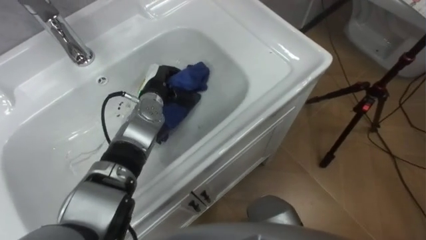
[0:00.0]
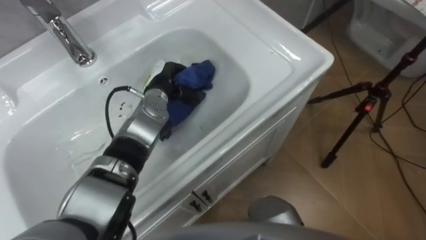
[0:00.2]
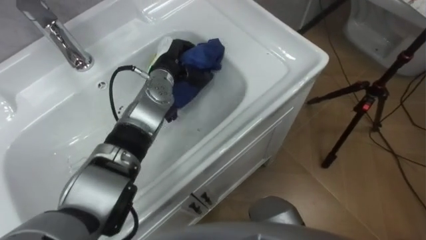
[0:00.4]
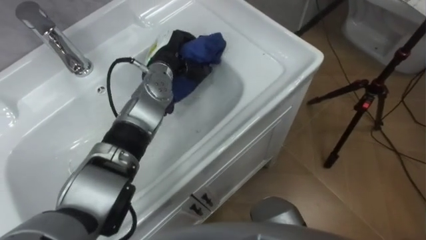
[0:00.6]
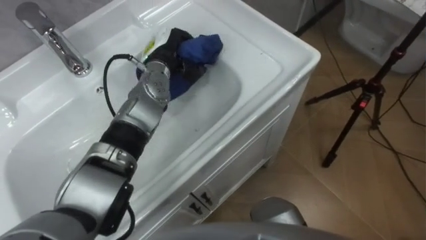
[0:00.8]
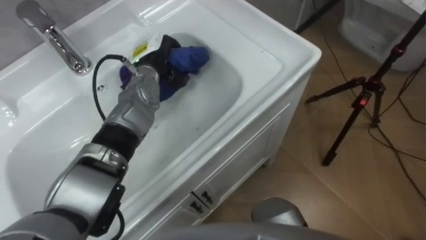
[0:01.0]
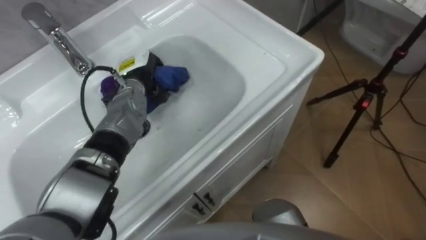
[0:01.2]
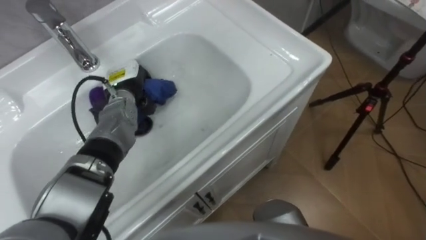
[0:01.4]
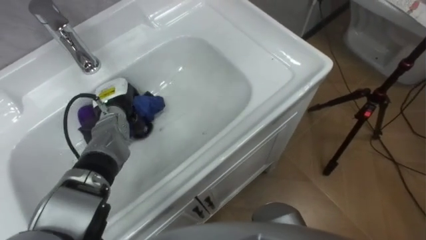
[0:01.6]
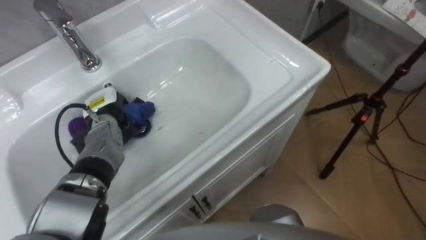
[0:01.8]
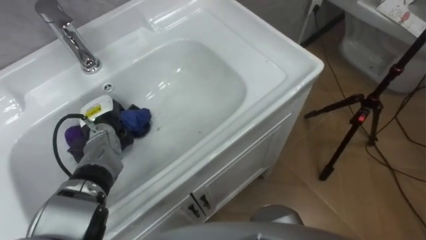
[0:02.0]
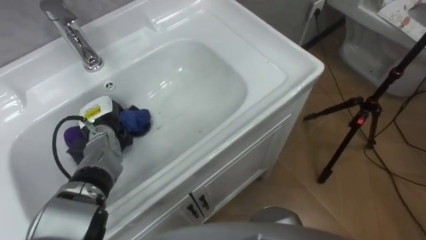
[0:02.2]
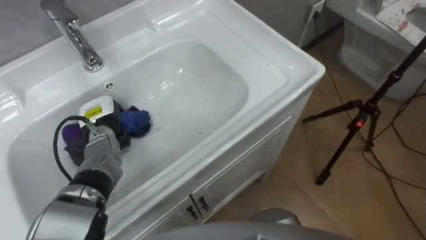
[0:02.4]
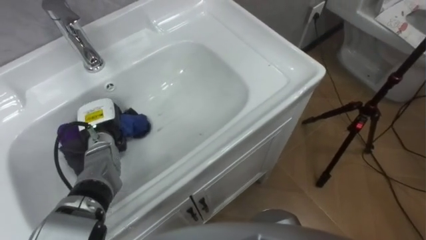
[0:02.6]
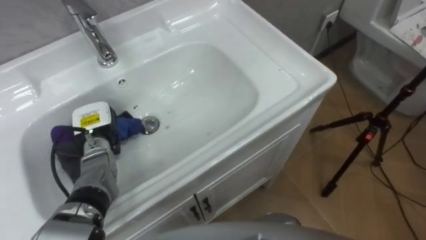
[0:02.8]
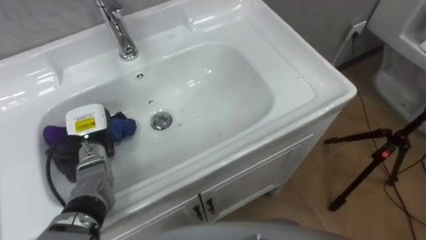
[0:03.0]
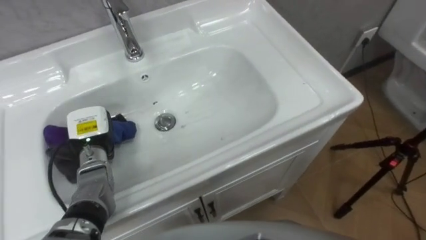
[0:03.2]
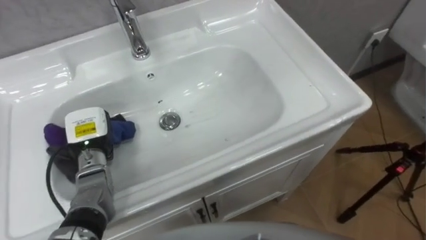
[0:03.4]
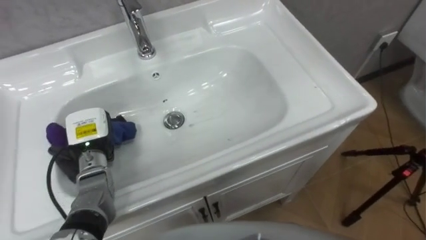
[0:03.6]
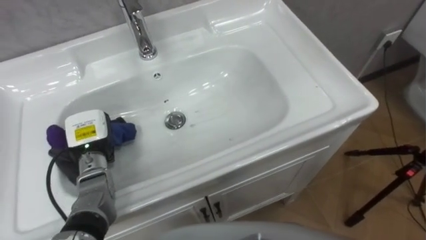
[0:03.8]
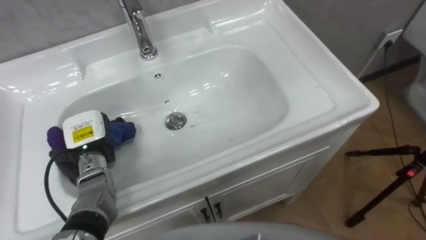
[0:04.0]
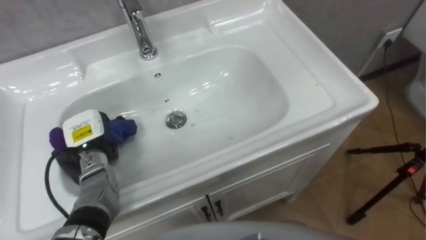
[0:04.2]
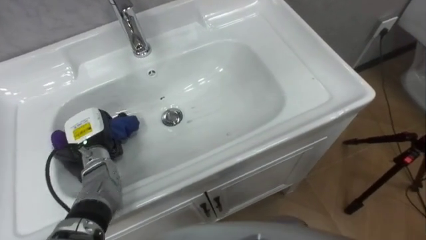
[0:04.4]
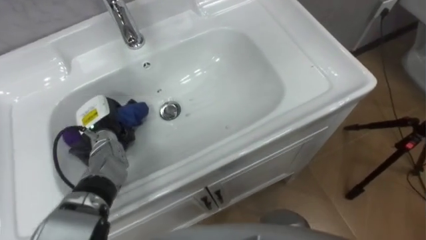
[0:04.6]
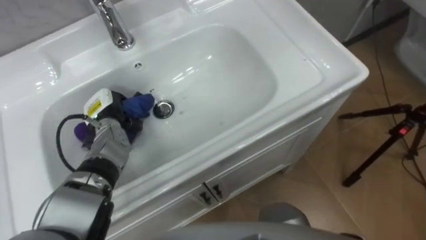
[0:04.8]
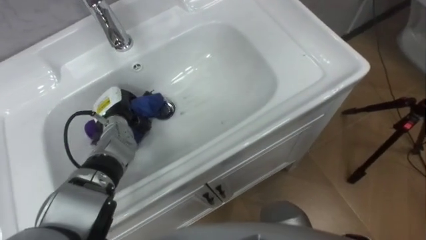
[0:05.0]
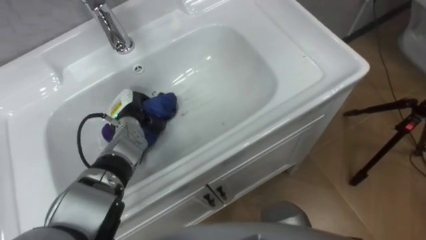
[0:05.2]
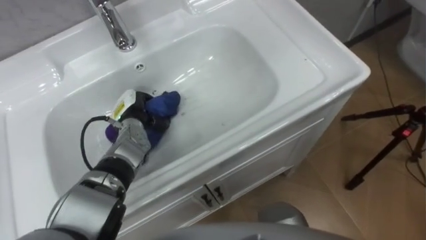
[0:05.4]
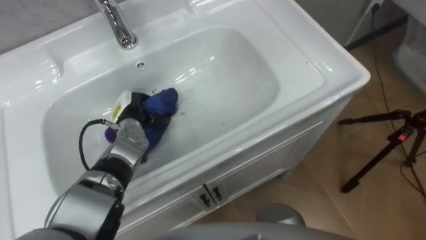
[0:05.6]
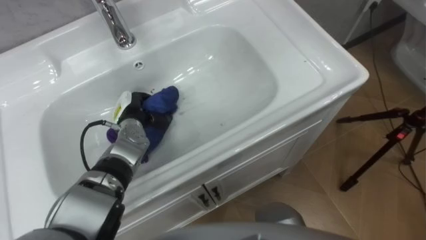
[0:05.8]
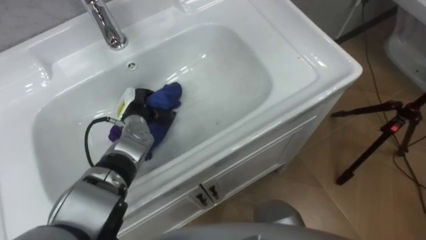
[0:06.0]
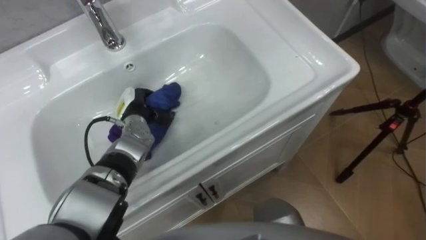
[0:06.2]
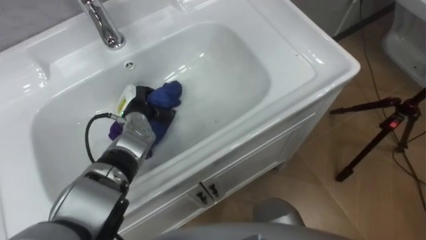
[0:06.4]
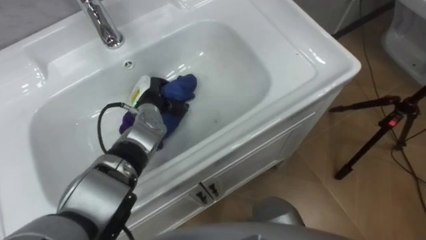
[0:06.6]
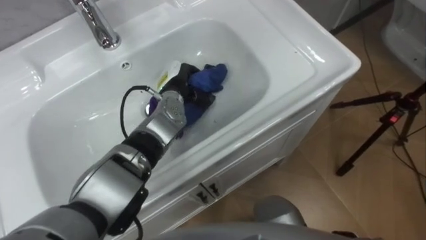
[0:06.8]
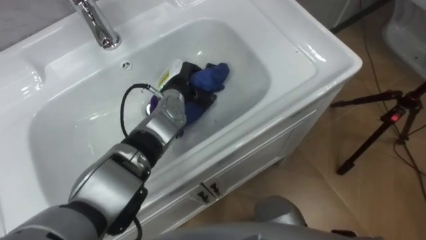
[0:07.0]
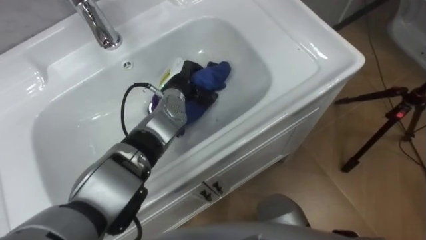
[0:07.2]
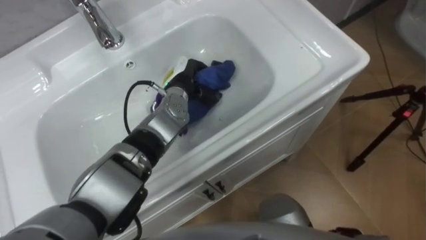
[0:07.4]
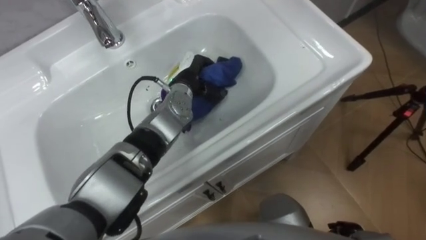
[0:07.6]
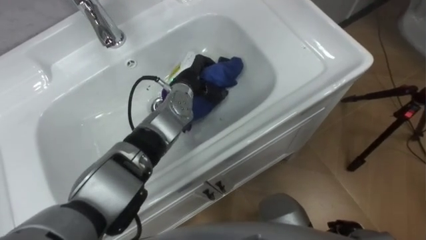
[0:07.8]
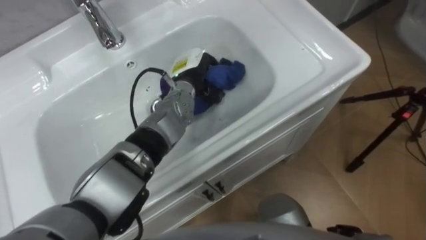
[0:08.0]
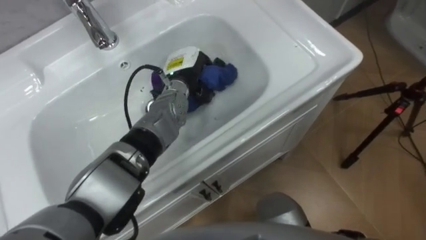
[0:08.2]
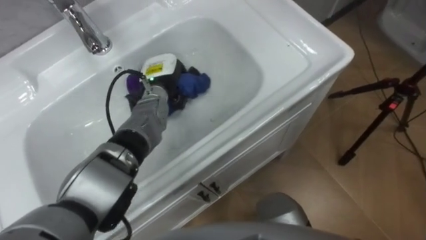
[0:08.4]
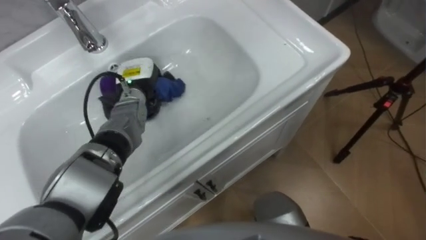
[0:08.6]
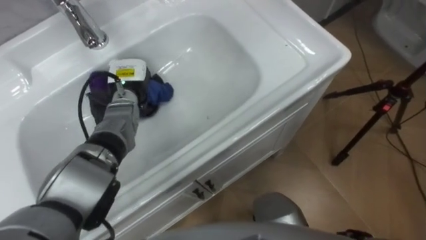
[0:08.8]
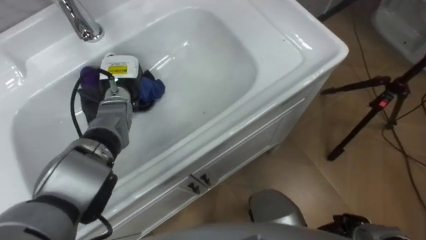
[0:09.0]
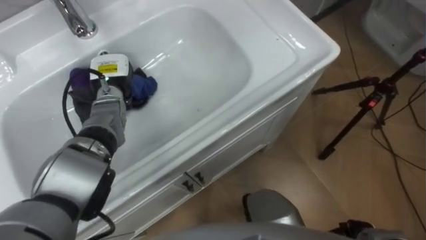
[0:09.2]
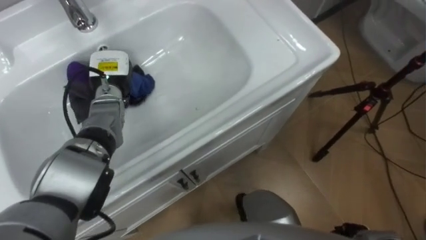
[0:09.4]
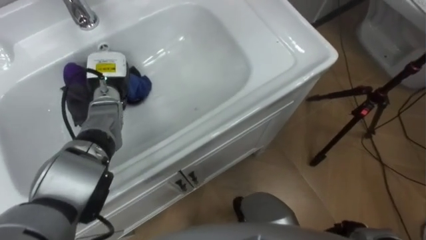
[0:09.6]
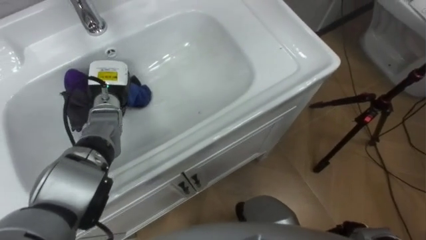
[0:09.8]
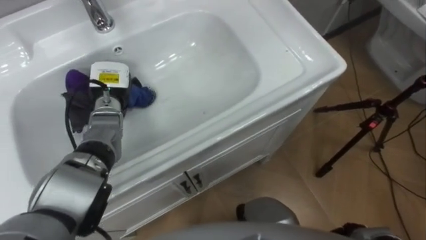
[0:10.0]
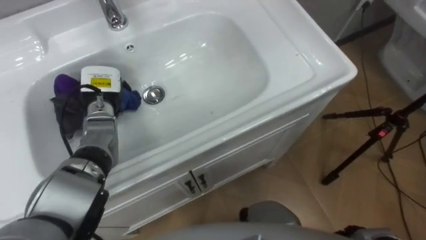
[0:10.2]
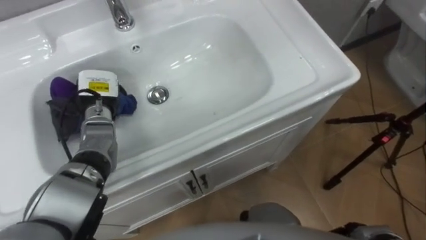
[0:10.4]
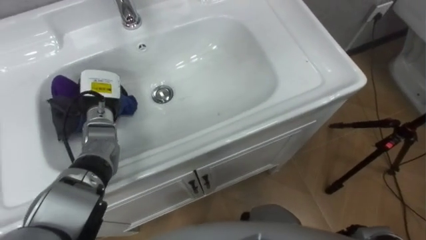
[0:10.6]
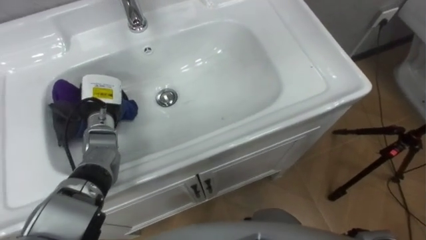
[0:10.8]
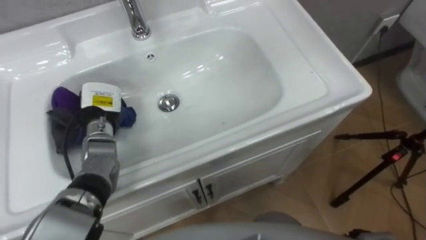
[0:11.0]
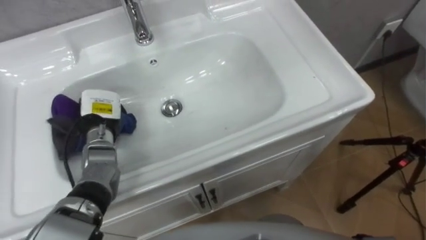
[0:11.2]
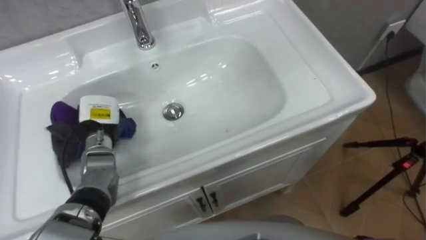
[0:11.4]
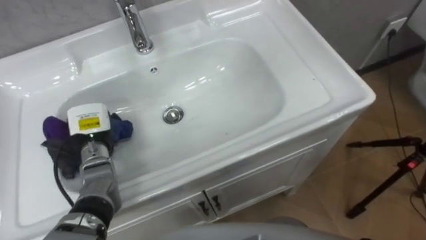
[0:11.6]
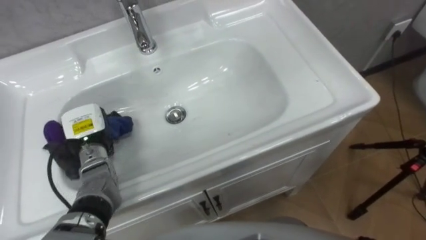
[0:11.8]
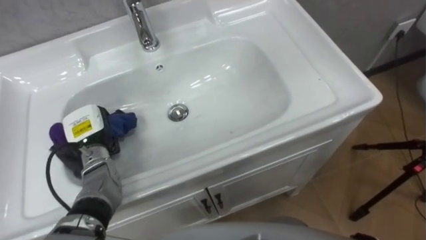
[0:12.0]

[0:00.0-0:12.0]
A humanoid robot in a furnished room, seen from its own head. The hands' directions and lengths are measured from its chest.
Task of the whole recording: Use the cloth on the right to wipe away the black stain in the sink.
0:00.0 to 0:01.6: The left hand heads to the left, covering approximately 10 cm.
0:01.6 to 0:03.0: The left hand is displaced backward and to the left by roughly 10 cm.
0:04.4 to 0:06.0: The left hand is displaced to the right and forward by roughly 10 cm.
0:06.0 to 0:07.6: The left hand shifts roughly 15 cm to the right and upward.
0:07.6 to 0:09.0: The left hand heads to the left, covering roughly 15 cm.
0:09.0 to 0:10.4: The left hand travels to the left by roughly 5 cm.
0:10.4 to 0:12.0: The left hand heads backward, covering roughly 5 cm.

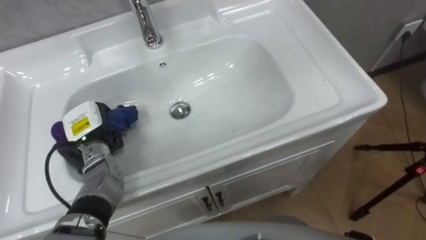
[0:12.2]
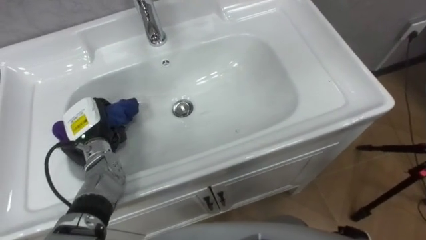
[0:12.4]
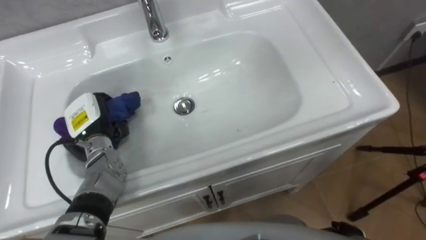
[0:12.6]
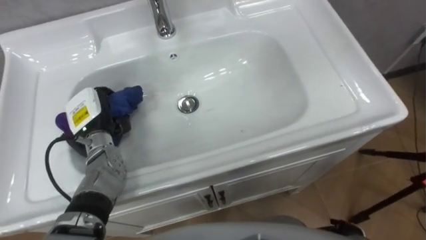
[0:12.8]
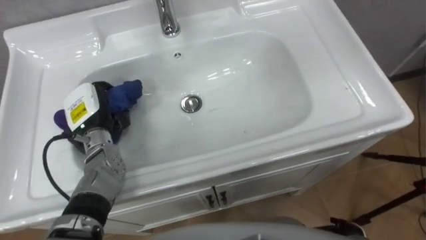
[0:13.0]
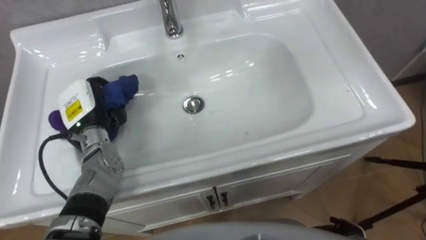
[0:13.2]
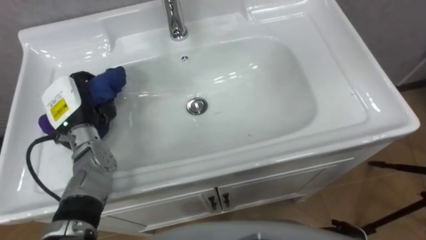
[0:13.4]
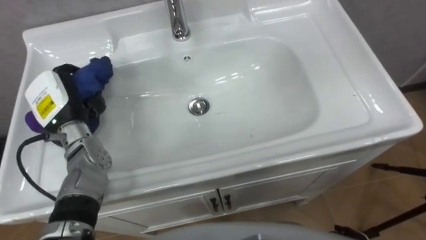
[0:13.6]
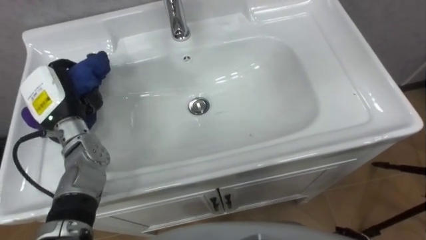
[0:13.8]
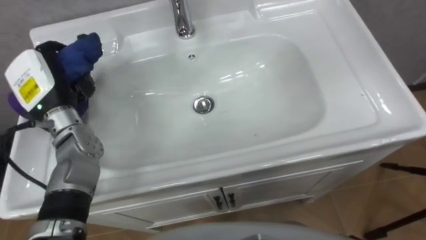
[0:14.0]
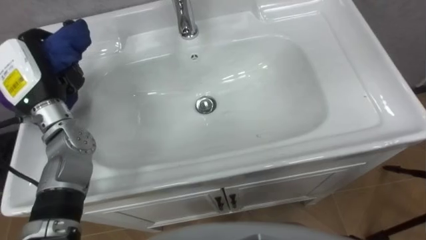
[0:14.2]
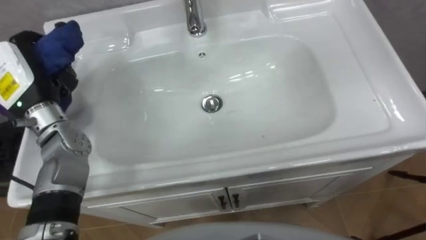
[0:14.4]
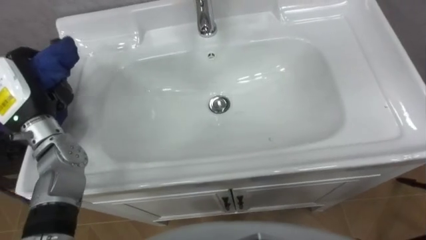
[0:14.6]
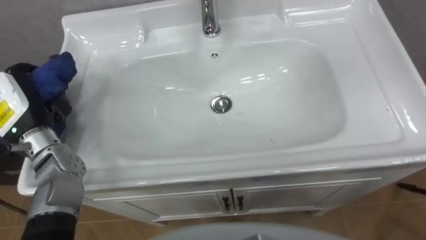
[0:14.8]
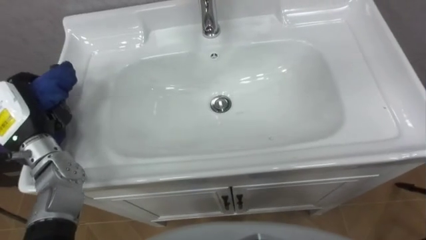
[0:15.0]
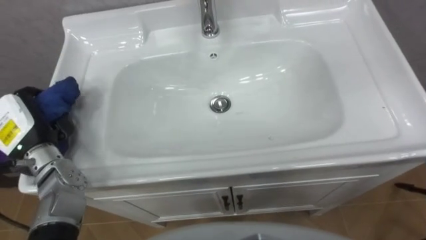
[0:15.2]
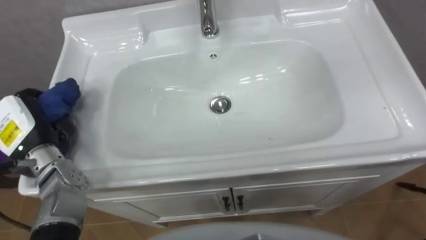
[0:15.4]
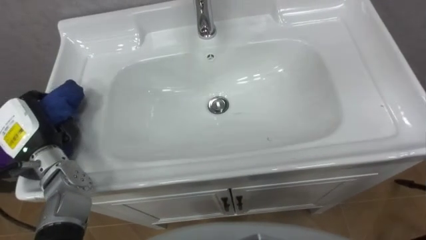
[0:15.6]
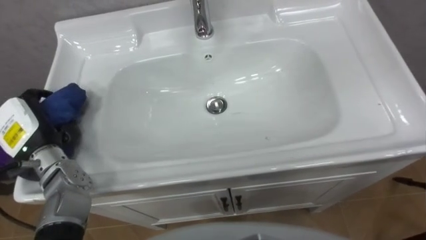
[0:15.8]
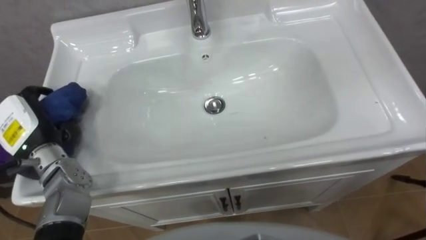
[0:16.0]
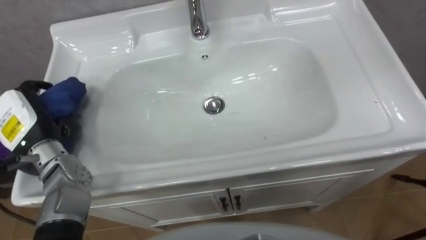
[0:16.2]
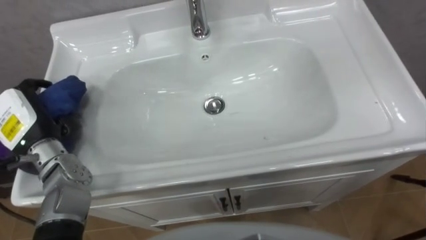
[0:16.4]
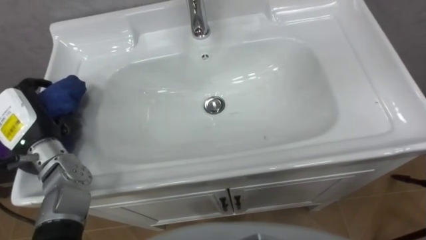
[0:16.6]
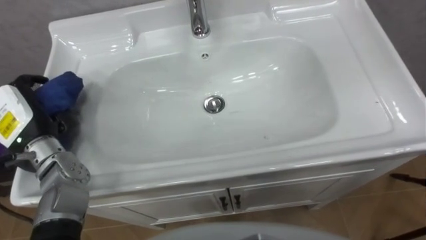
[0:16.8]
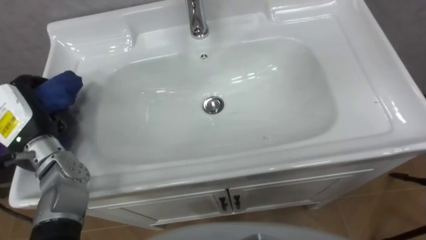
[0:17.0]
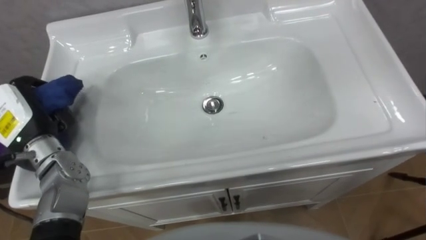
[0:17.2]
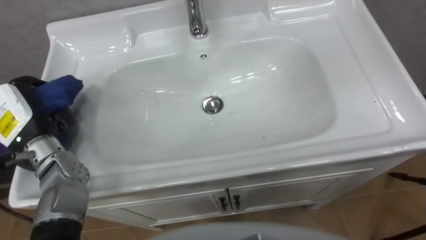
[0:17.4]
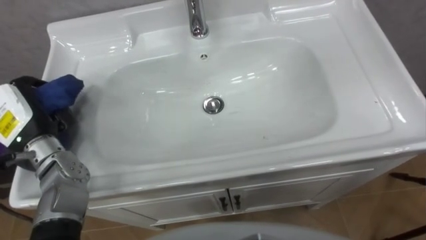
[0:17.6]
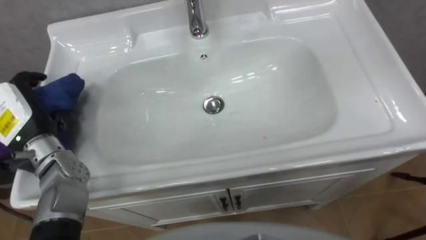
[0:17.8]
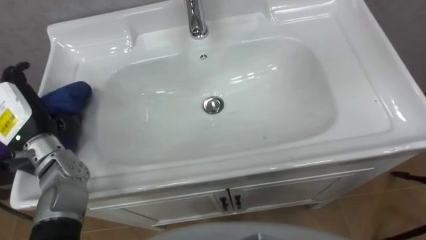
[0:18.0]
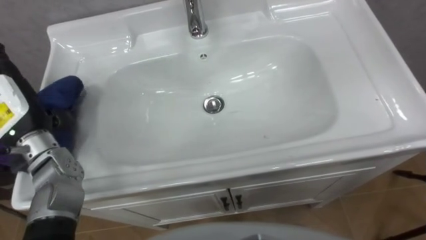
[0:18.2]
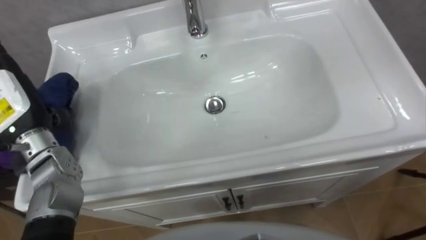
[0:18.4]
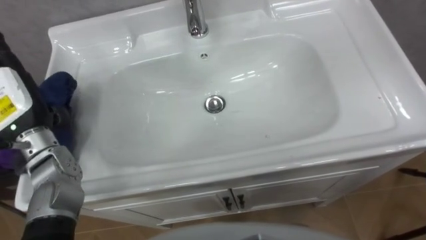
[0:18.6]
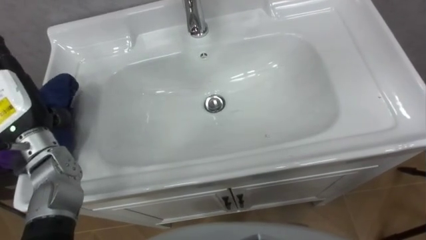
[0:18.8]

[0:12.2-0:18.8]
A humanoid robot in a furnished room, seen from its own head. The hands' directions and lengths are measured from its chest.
Task of the whole recording: Use the cloth on the right to wipe away the black stain in the sink.
0:12.2 to 0:13.8: The left hand goes some 10 cm upward.
0:13.8 to 0:15.4: The left hand moves backward, about 5 cm.
0:17.2 to 0:18.8: The left hand opens its fingers.
